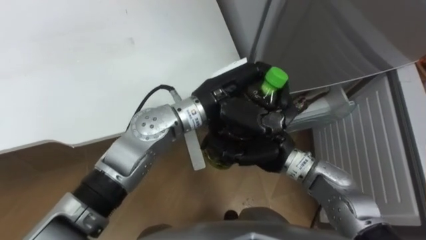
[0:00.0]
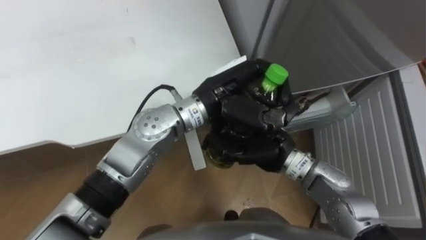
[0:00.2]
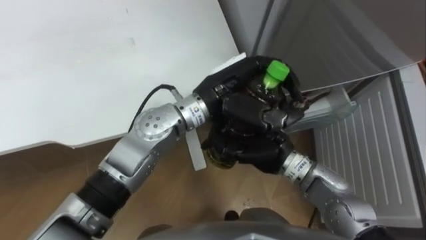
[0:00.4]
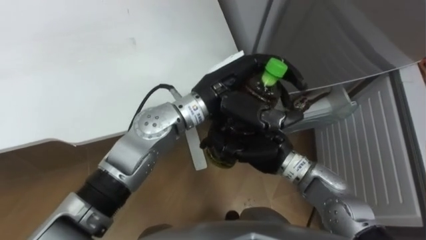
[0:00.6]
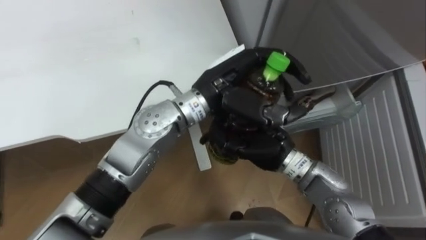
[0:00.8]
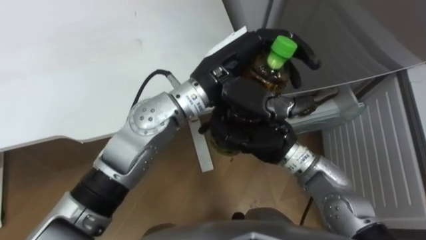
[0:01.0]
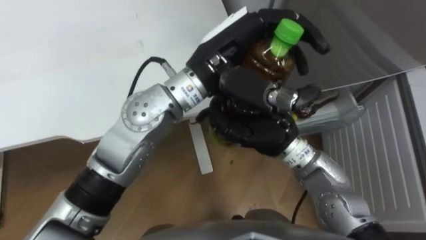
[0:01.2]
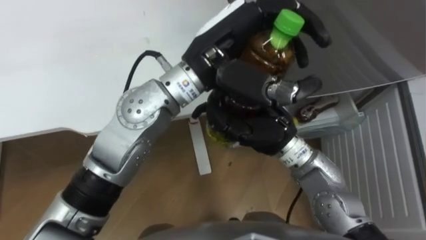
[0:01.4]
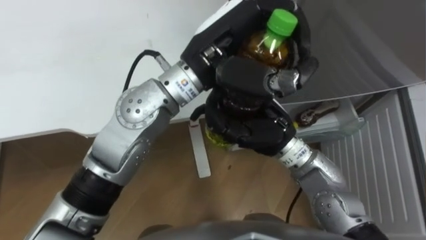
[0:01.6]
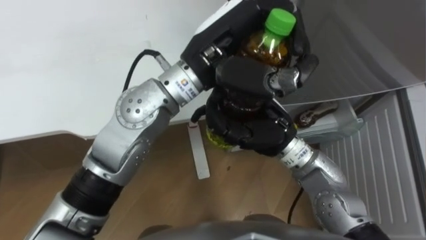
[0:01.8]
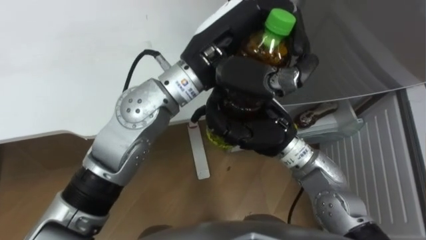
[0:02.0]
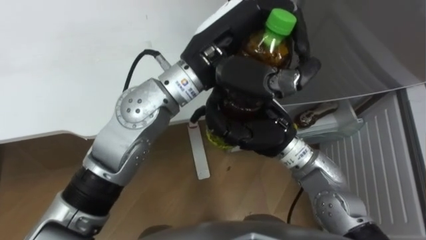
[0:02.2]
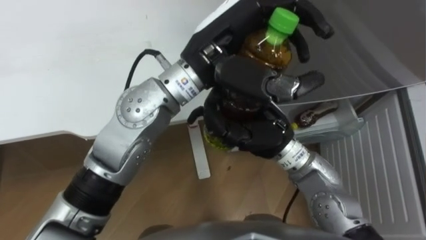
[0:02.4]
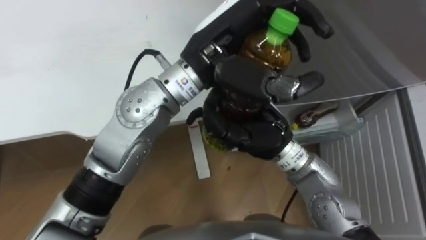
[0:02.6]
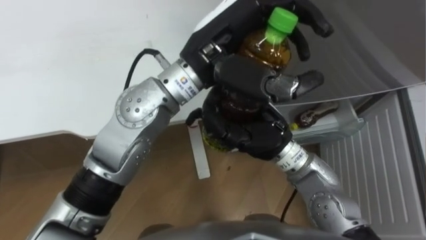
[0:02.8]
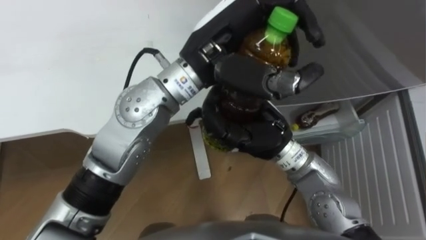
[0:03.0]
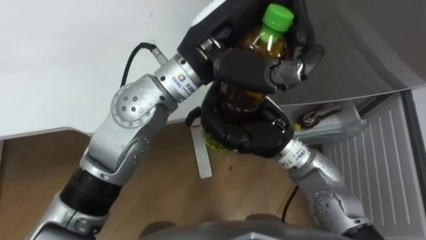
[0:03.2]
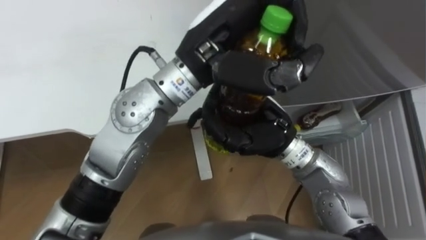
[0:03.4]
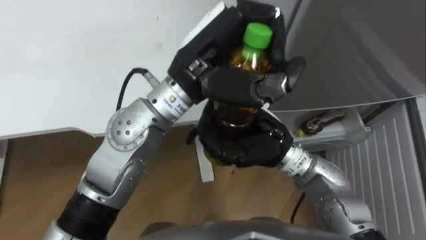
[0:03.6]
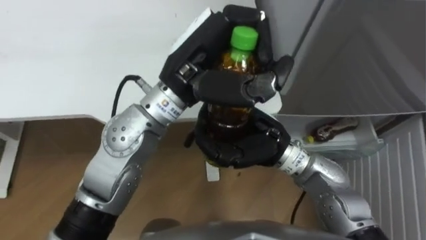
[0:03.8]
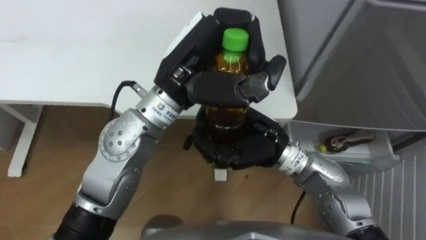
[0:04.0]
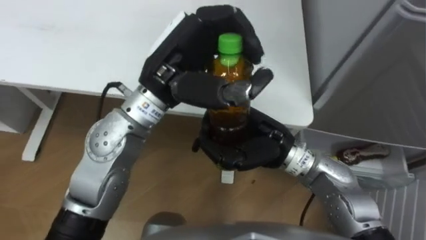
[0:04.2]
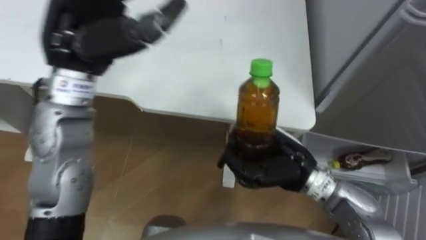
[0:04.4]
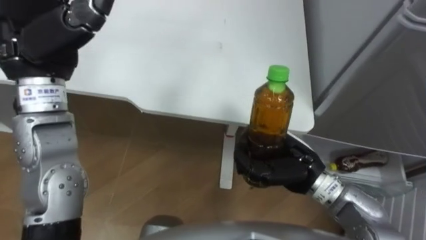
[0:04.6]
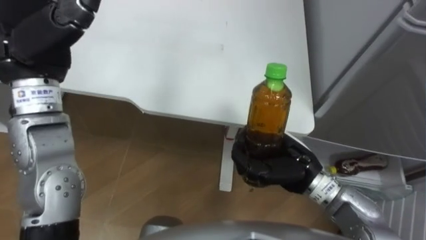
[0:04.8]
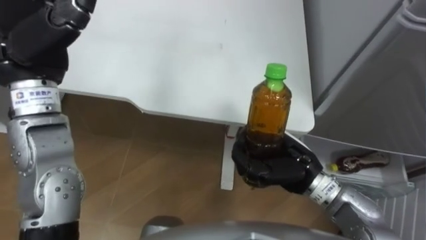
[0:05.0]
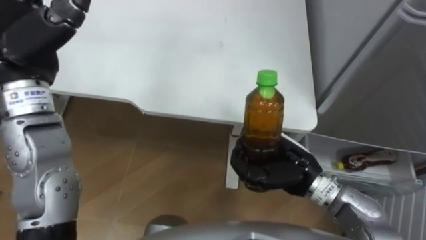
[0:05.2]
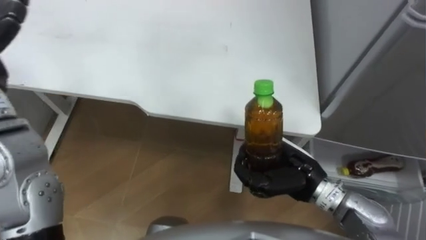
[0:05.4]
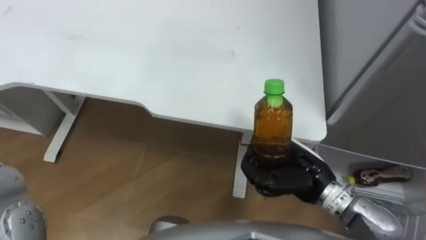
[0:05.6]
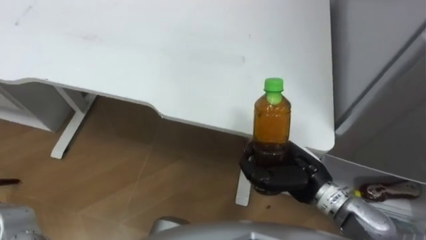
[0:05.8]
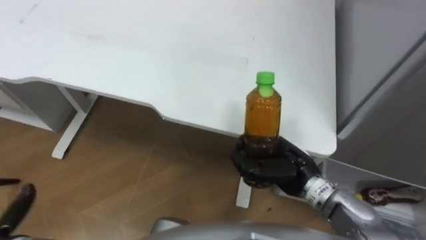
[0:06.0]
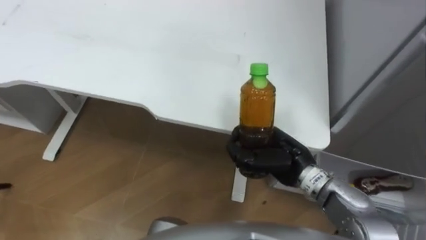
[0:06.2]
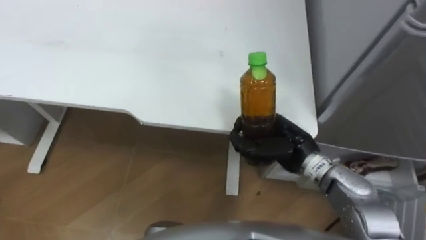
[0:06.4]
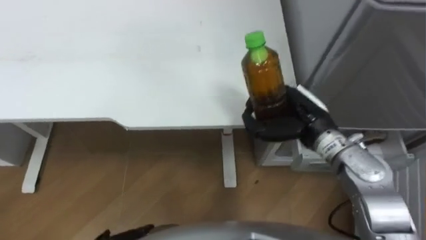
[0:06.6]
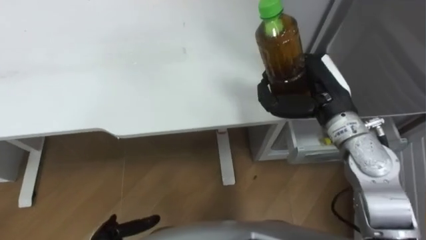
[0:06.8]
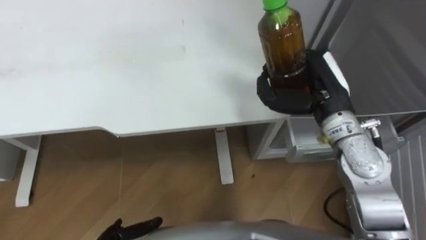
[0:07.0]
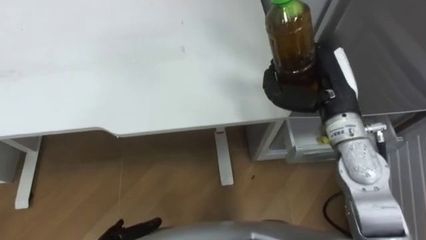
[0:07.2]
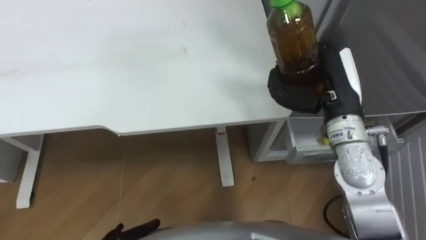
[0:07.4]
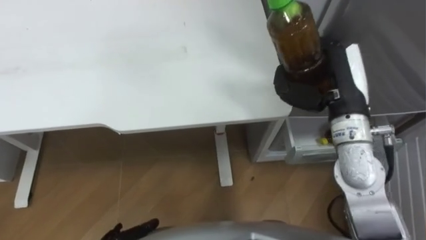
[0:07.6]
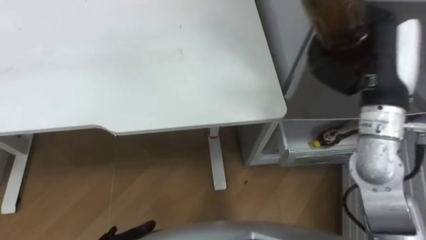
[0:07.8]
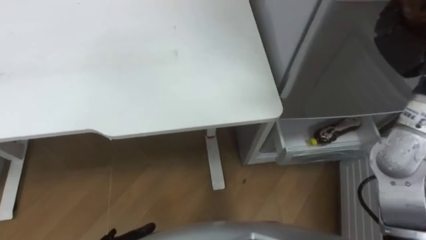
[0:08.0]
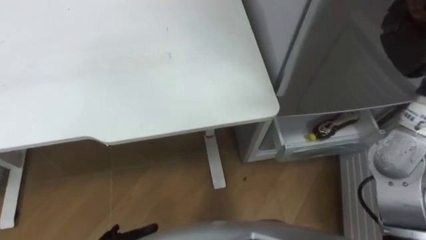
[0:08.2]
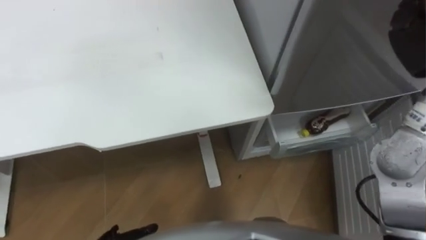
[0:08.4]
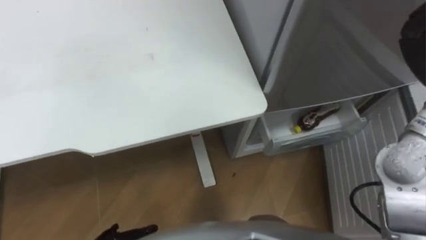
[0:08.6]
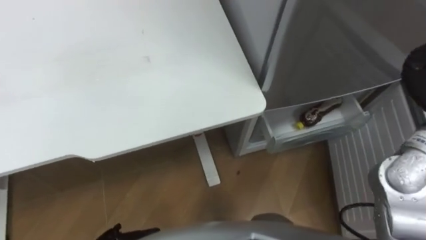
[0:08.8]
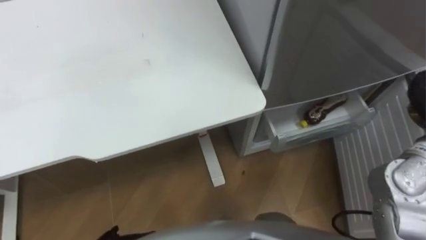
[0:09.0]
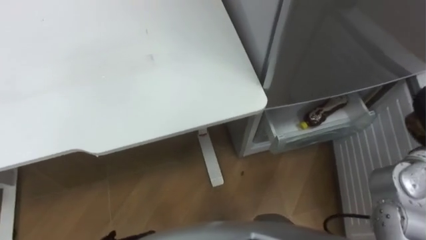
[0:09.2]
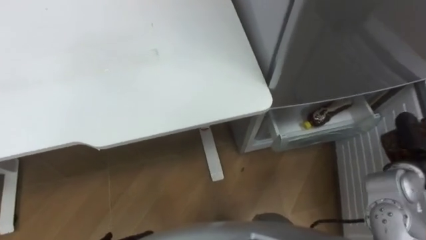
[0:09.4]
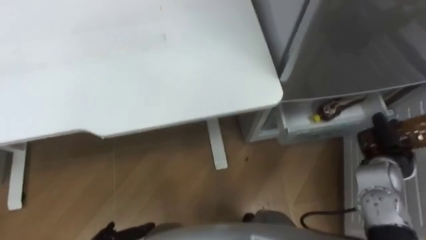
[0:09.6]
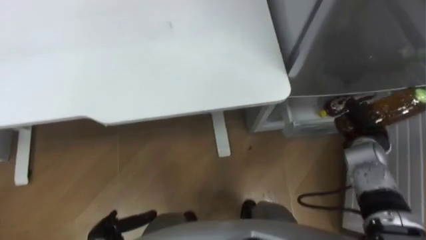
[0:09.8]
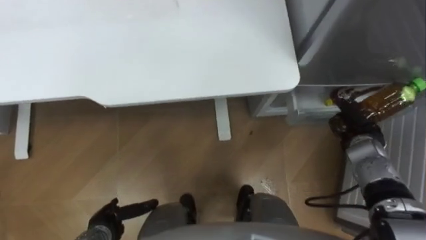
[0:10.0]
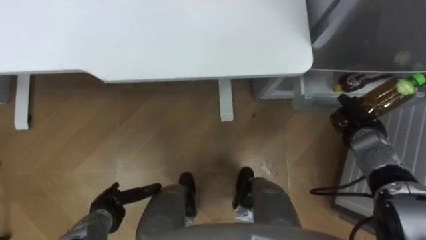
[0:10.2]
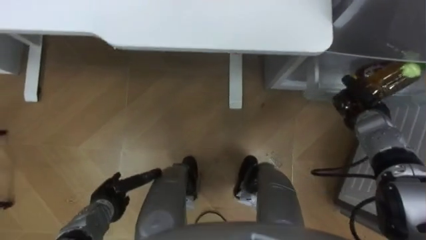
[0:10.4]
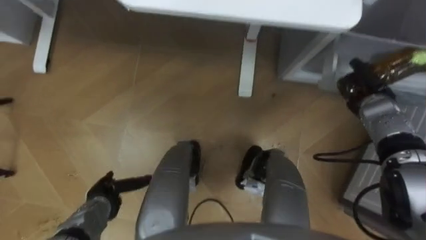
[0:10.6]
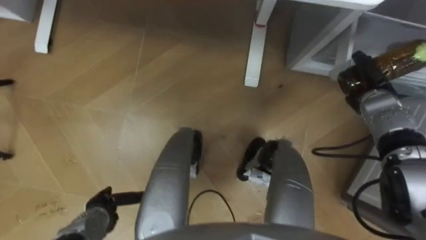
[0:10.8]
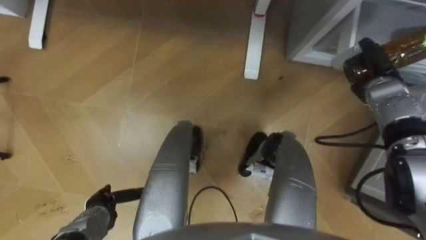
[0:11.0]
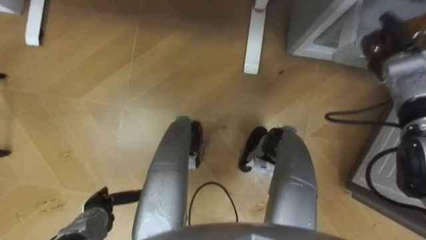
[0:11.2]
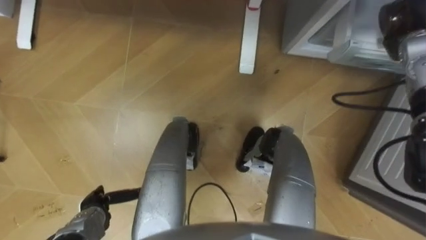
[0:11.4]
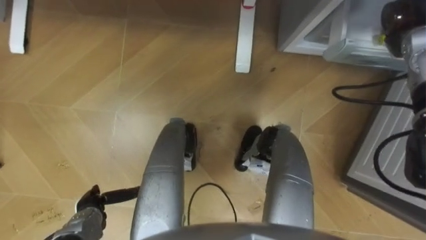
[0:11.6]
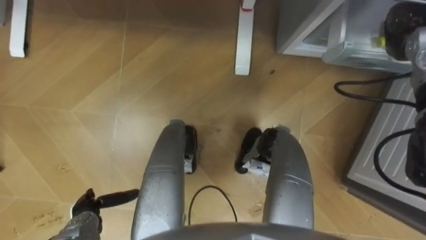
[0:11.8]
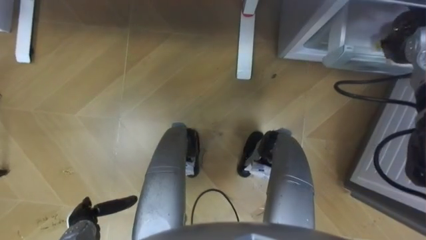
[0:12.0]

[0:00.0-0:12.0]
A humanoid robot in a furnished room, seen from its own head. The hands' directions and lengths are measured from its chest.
Task of the whole recording: Place the drink on the table on the bottom shelf of the refrigerator, then close the drawer and the refrigerator door.
0:00.0 to 0:01.6: The left hand is displaced upward by roughly 10 cm. Meanwhile the right hand goes some 5 cm upward.
0:03.0 to 0:04.4: The left hand moves to the left, roughly 15 cm, and opens its fingers; the right hand goes about 5 cm downward.
0:06.0 to 0:07.6: The right hand travels upward, forward and to the right by approximately 15 cm.
0:10.4 to 0:12.0: The left hand moves approximately 5 cm. The right hand is displaced upward and forward by approximately 15 cm, and opens up.

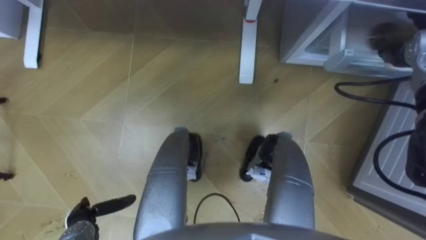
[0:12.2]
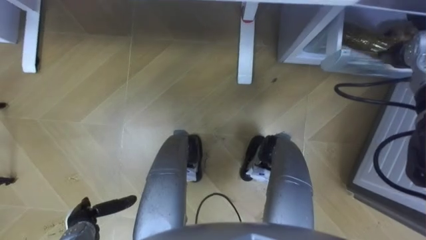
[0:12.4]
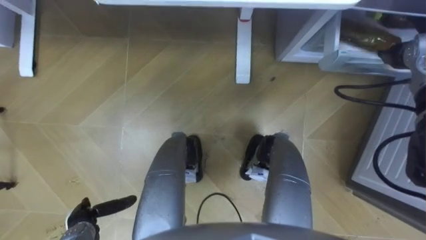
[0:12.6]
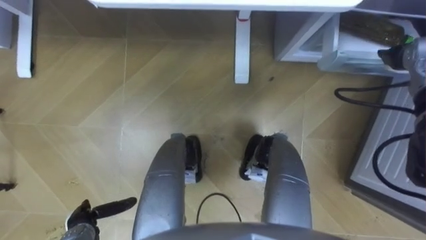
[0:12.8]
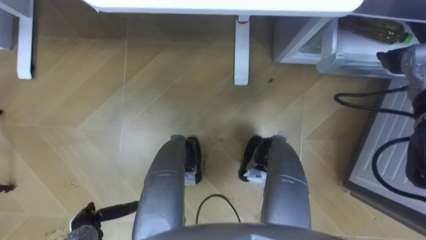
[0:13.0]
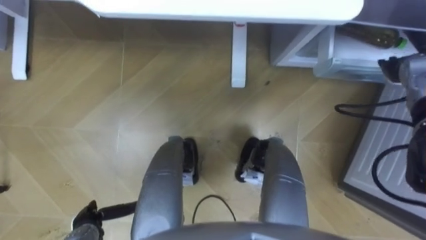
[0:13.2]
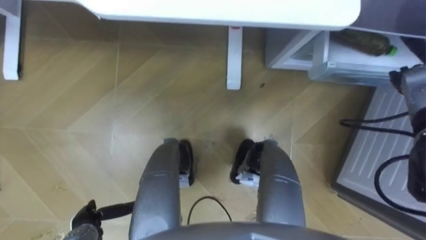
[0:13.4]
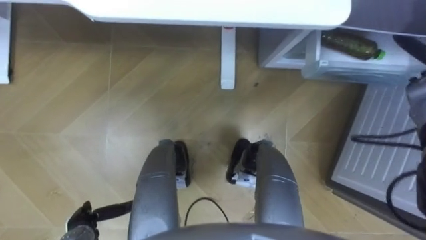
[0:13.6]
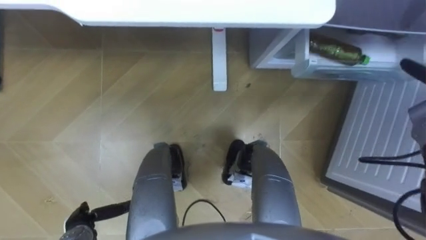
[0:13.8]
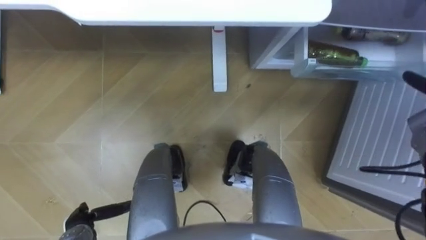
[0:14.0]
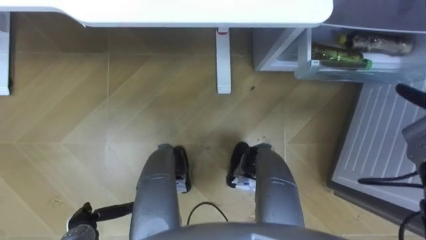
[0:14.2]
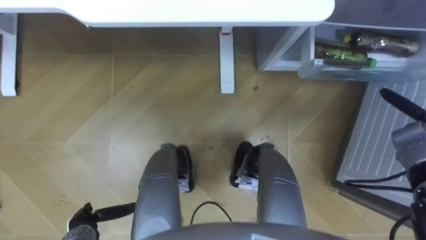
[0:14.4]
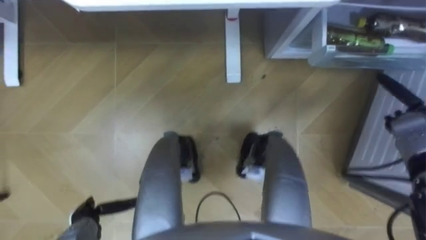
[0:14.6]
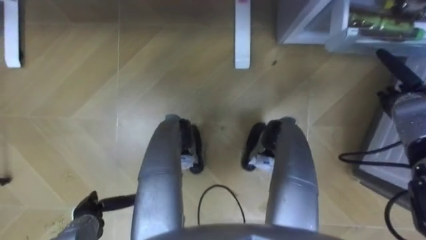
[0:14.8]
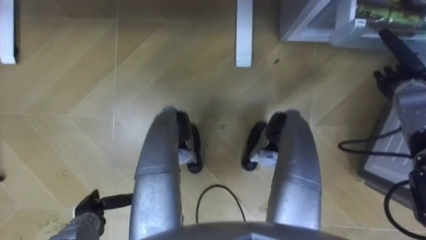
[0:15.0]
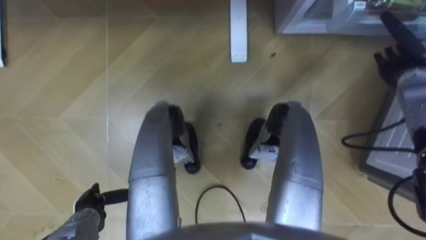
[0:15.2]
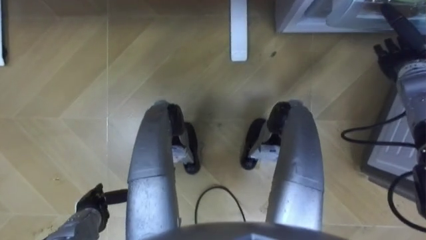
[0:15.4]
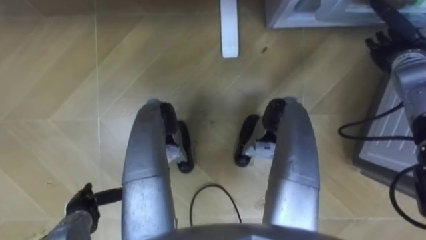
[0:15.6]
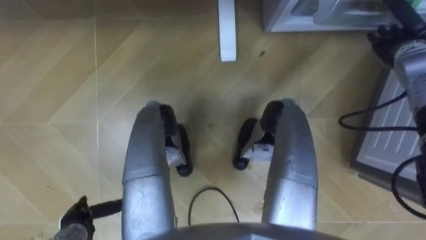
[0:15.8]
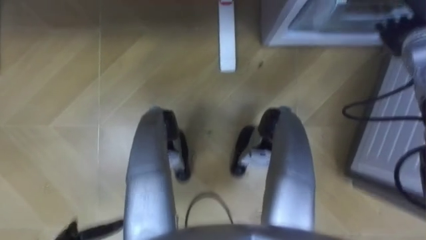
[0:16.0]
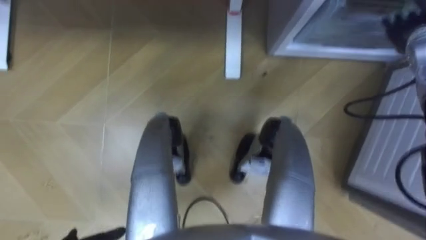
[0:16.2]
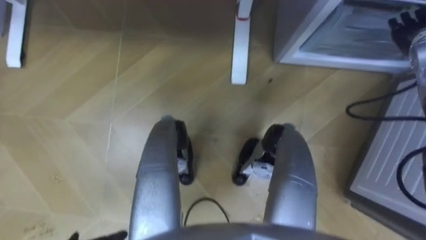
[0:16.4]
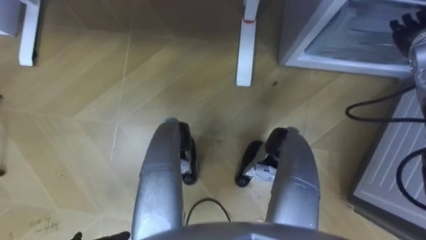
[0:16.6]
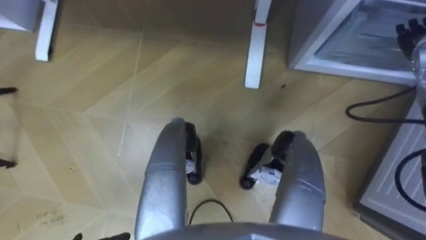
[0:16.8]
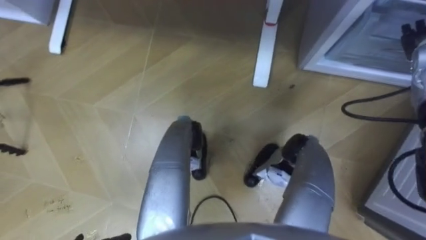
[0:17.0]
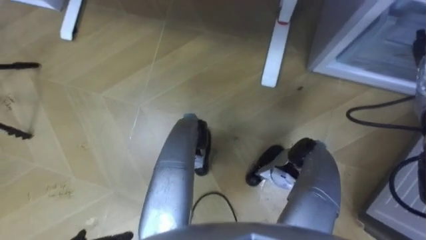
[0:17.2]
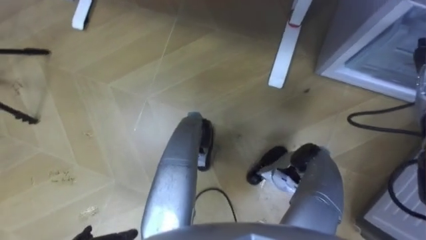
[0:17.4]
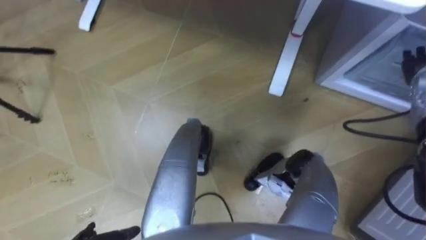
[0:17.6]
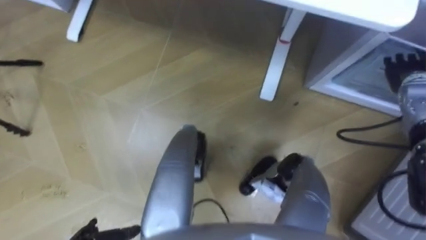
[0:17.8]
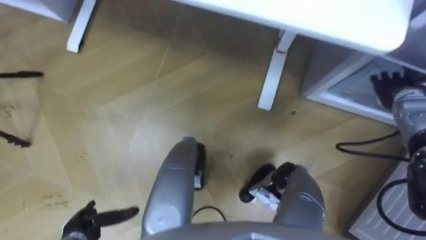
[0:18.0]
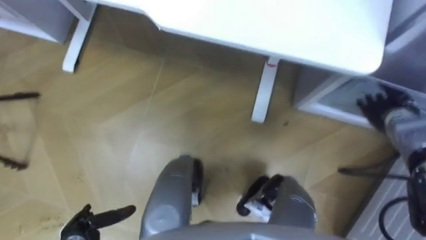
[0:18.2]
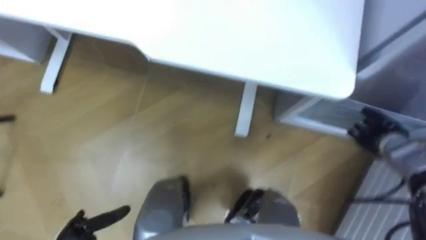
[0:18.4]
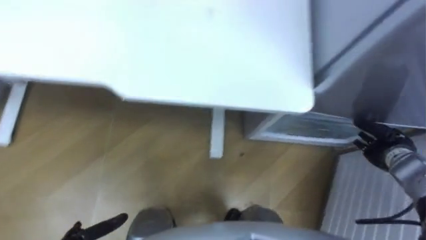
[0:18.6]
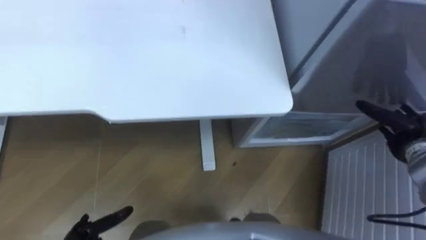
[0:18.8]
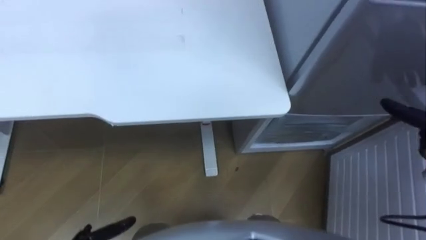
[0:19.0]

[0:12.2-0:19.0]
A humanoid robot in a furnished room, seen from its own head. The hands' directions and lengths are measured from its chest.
Task of the whole recording: Place the drink on the table on the bottom shelf of the refrigerator, then close the drawer and the refrigerator door.
0:12.2 to 0:13.6: The right hand moves some 5 cm.
0:15.0 to 0:16.2: The right hand shifts about 10 cm upward and forward.